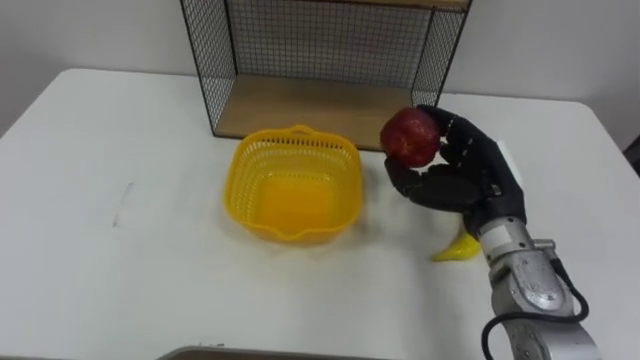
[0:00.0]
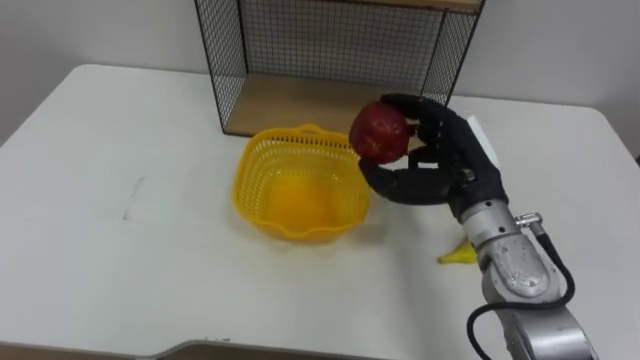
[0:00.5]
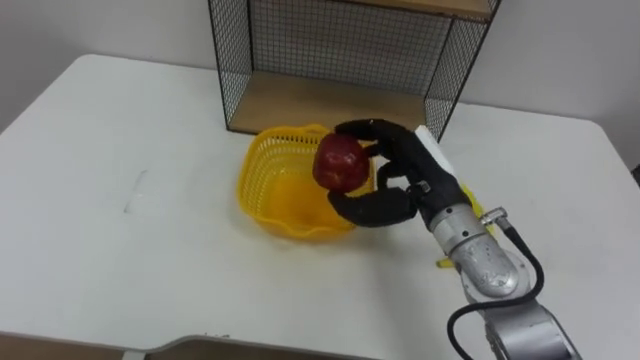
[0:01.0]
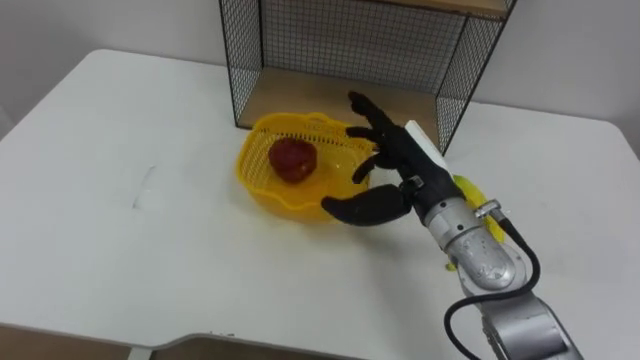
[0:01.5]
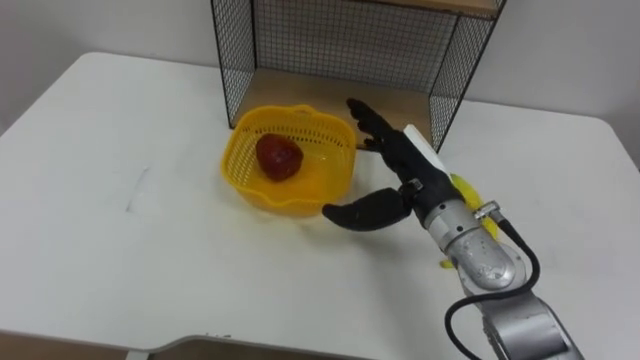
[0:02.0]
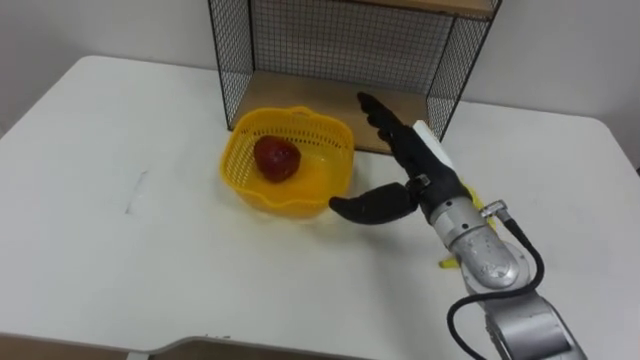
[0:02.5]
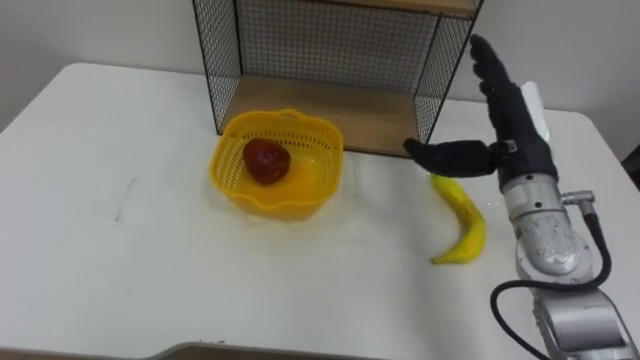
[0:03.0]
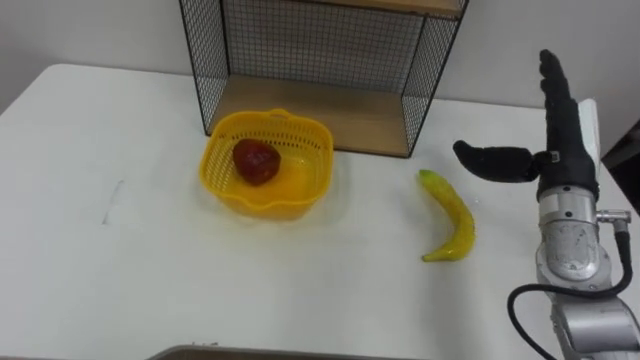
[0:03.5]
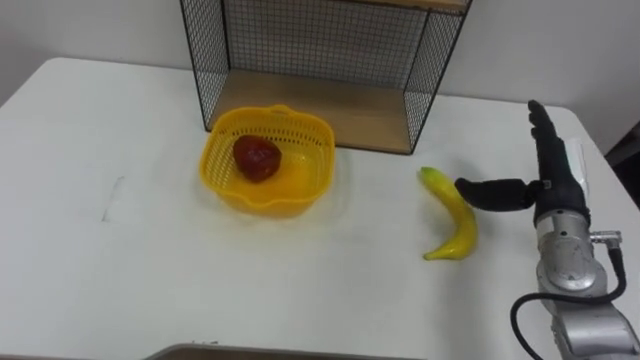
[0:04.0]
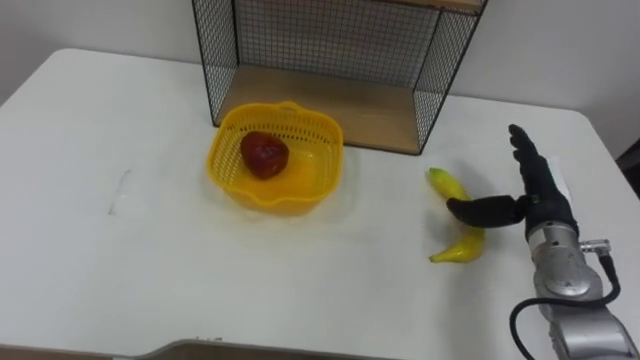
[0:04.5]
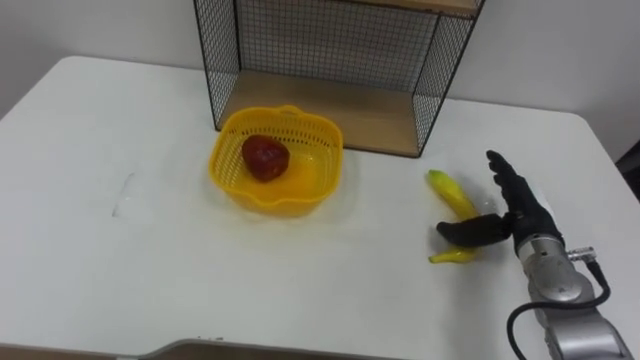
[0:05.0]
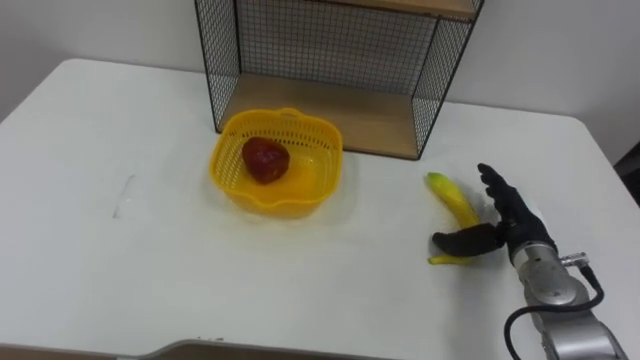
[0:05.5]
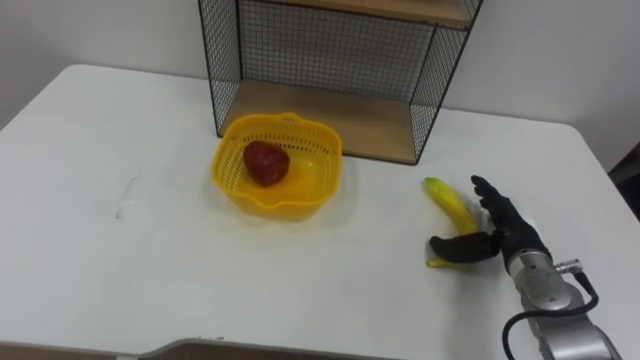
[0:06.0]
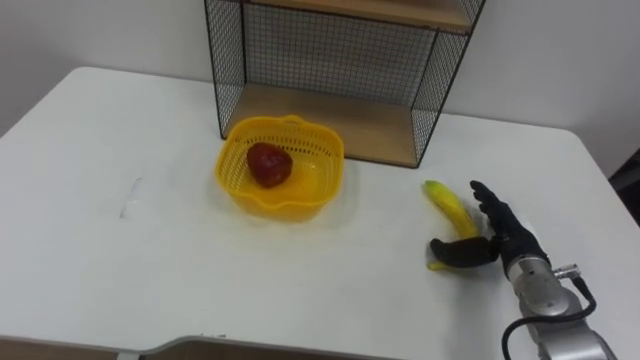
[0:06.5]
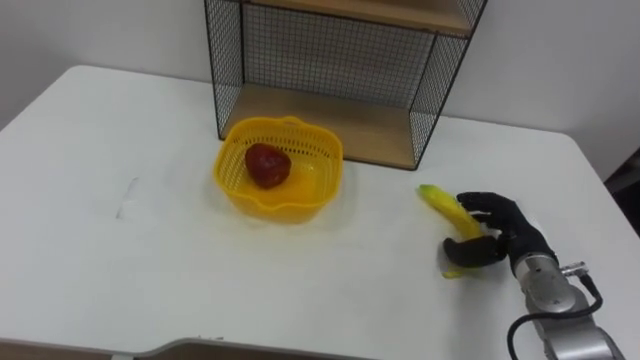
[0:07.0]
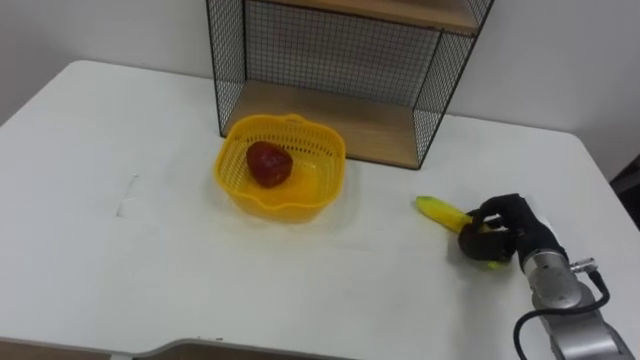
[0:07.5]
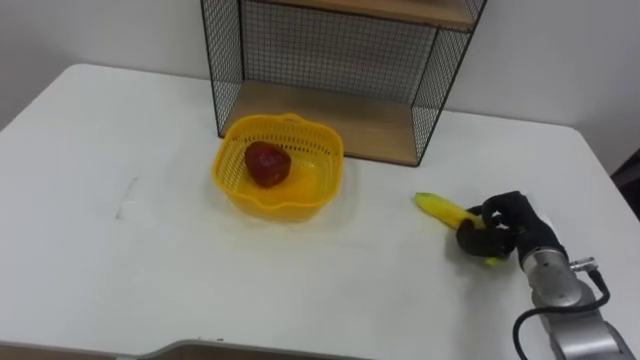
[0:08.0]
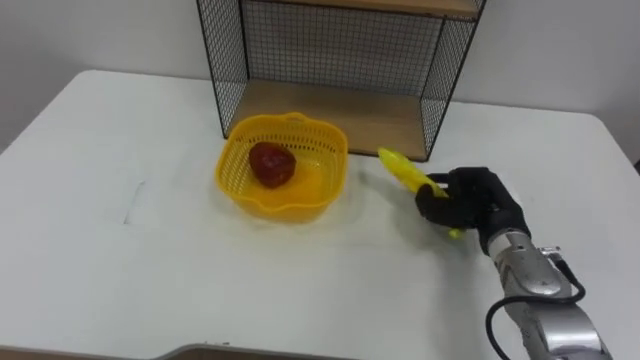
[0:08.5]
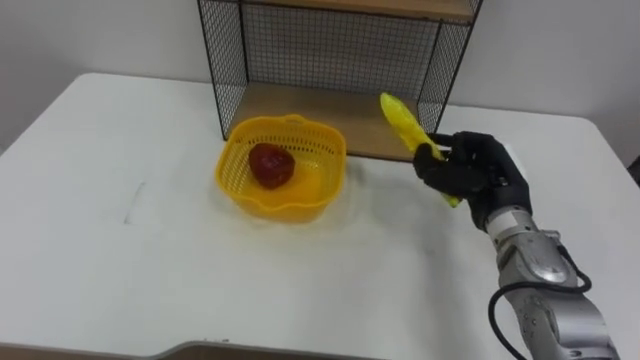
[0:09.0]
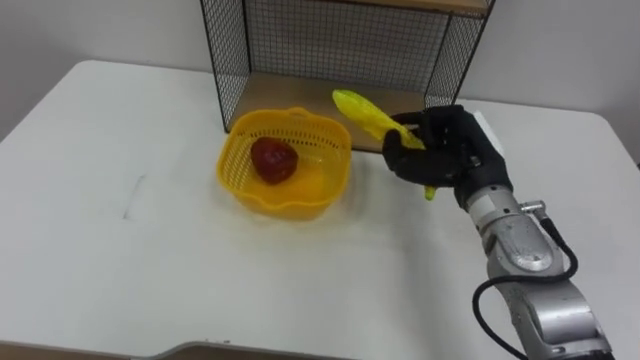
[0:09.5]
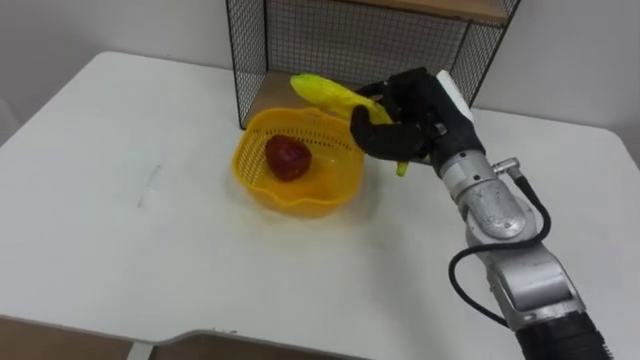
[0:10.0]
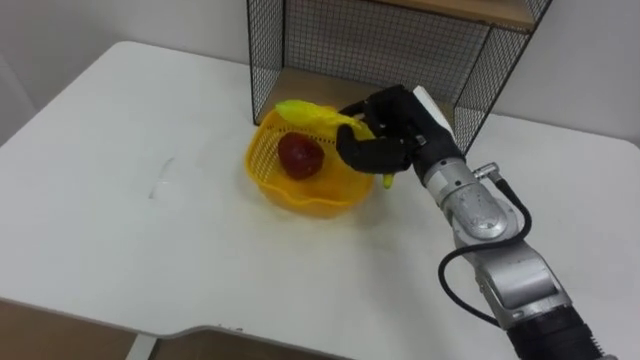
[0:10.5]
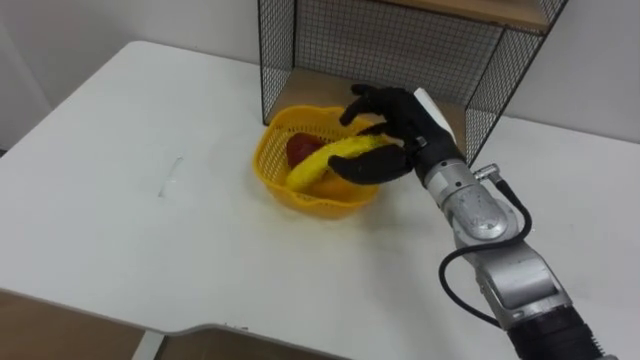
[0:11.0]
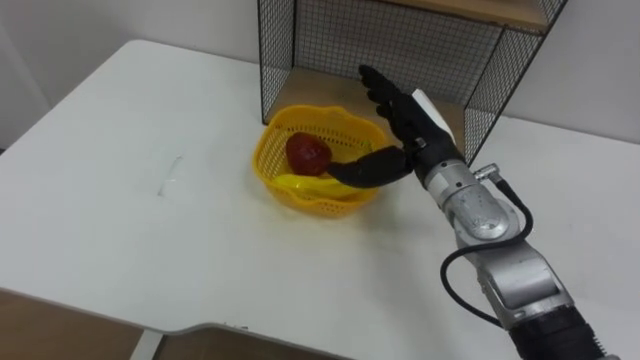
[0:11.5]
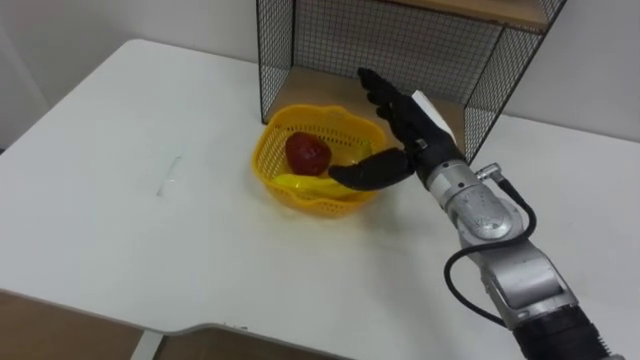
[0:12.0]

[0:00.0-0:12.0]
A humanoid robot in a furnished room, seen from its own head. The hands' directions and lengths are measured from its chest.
Task of the whole recording: Put the fruit on the table into the basket, then place the basket on the shelf.
0.0 to 2.0 s: The right hand shifts roughly 10 cm to the left, and opens.
2.0 to 4.0 s: The right hand goes roughly 15 cm to the right.
4.0 to 6.0 s: The right hand travels downward by approximately 10 cm.
6.0 to 8.0 s: The right hand closes.
8.0 to 10.0 s: The right hand goes some 20 cm upward and to the left.
10.0 to 12.0 s: The right hand opens its fingers.

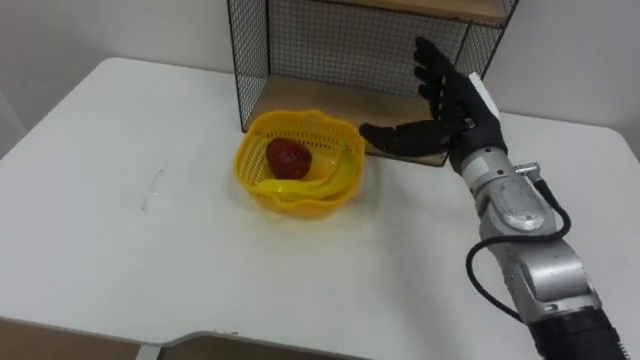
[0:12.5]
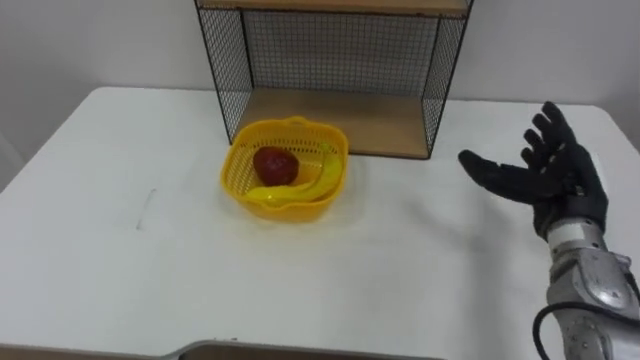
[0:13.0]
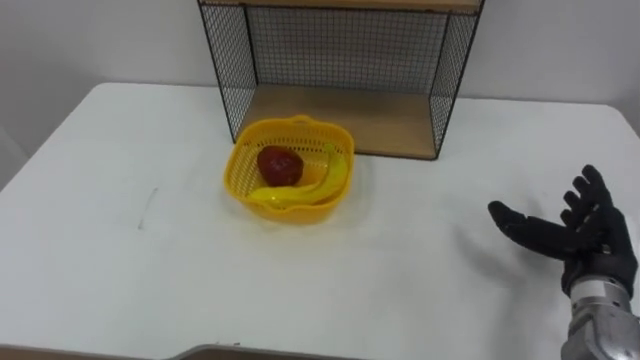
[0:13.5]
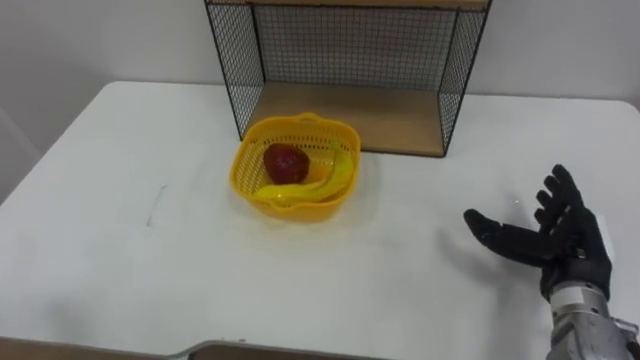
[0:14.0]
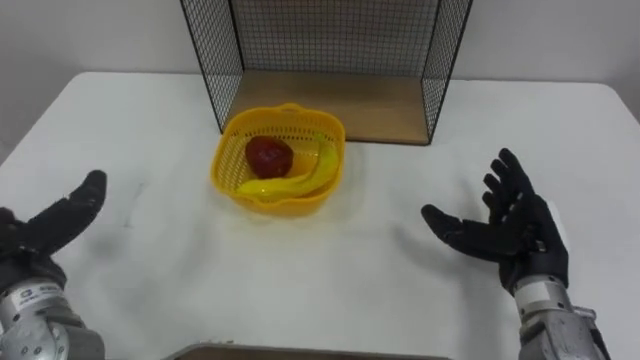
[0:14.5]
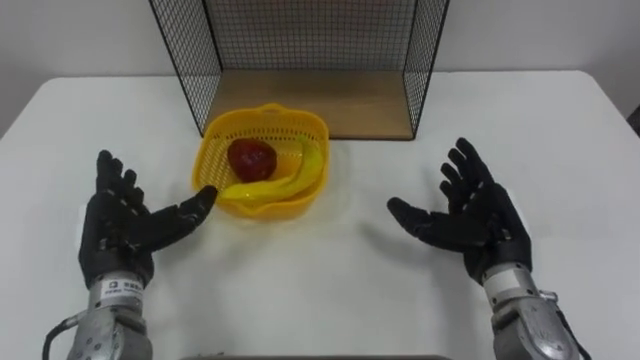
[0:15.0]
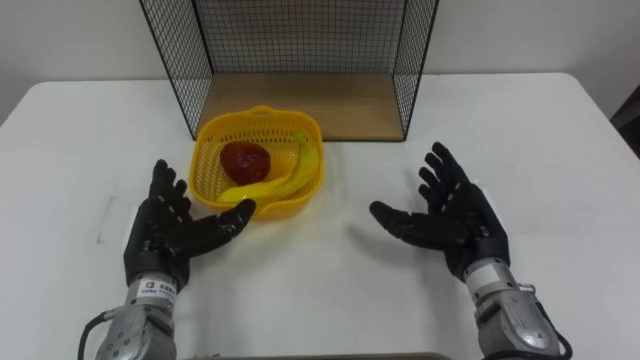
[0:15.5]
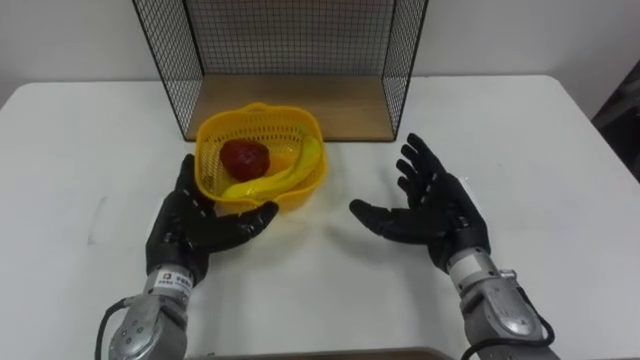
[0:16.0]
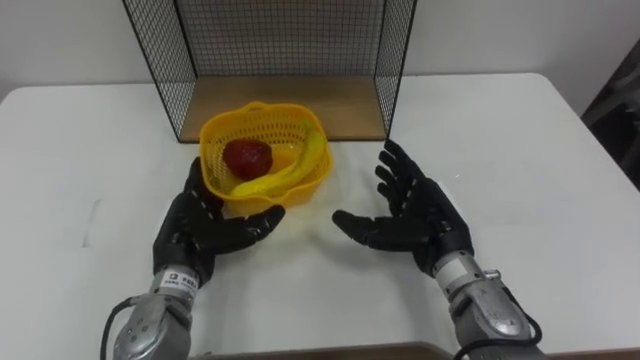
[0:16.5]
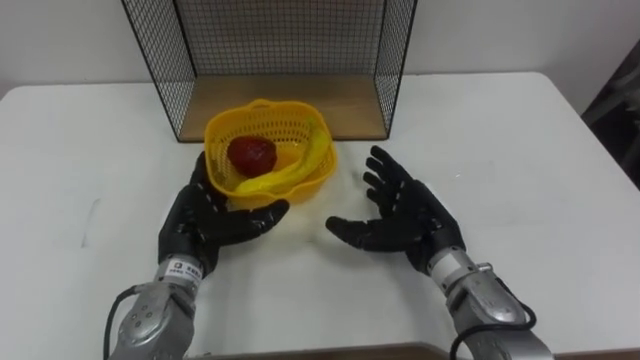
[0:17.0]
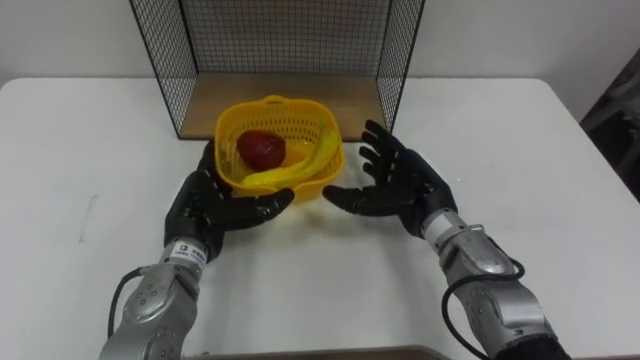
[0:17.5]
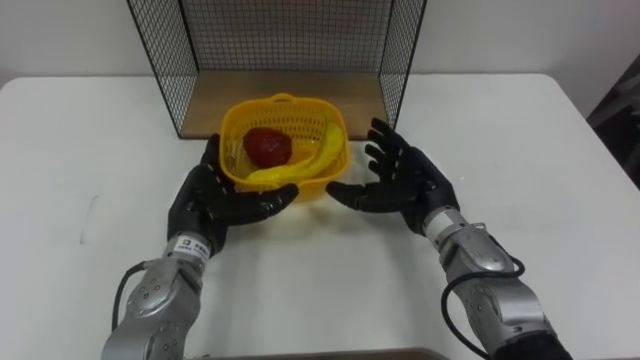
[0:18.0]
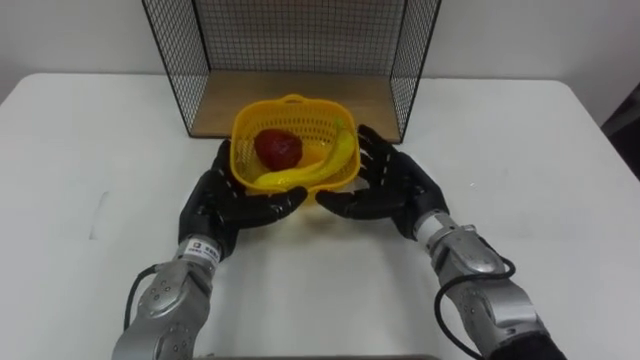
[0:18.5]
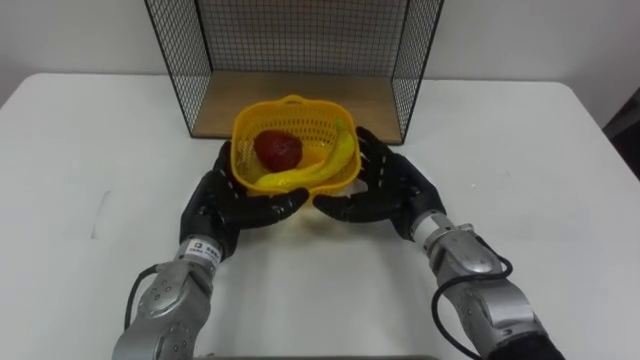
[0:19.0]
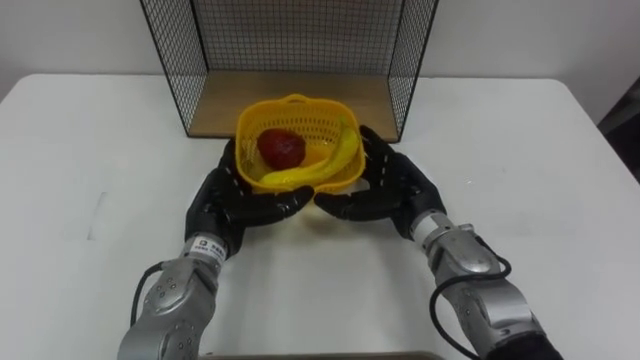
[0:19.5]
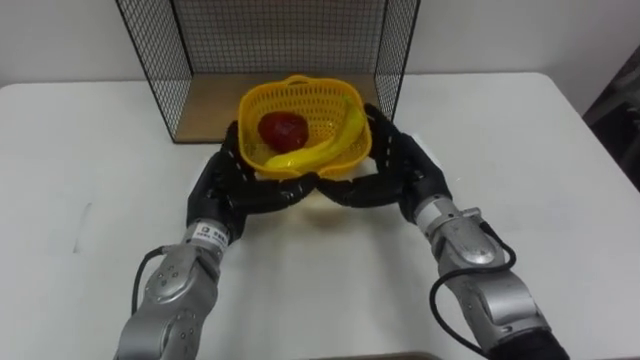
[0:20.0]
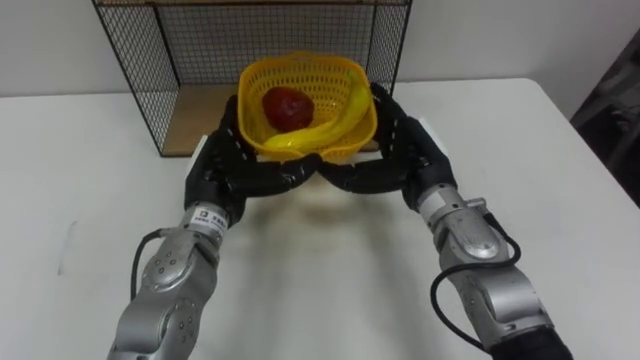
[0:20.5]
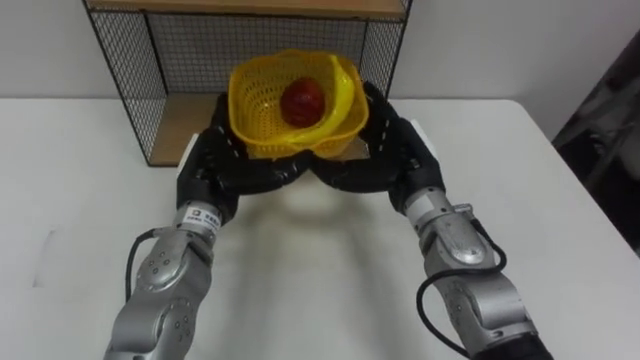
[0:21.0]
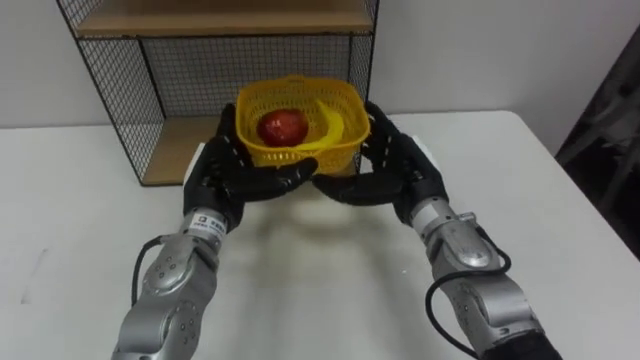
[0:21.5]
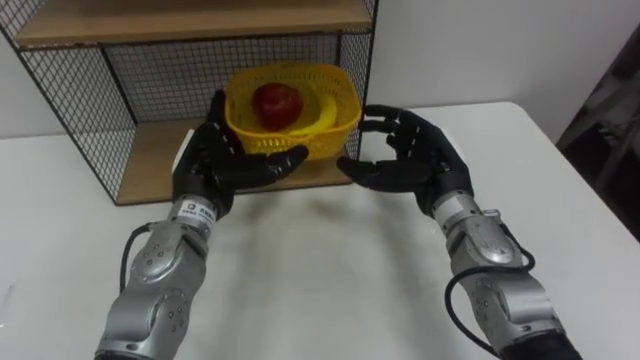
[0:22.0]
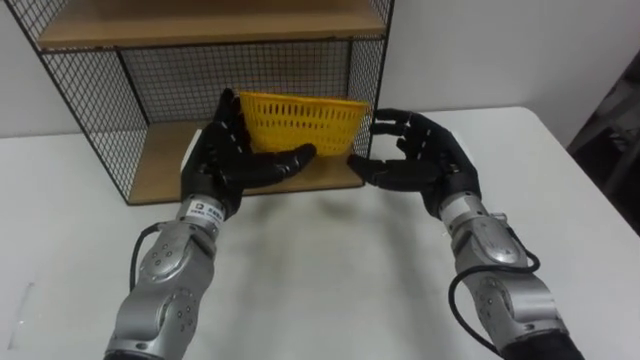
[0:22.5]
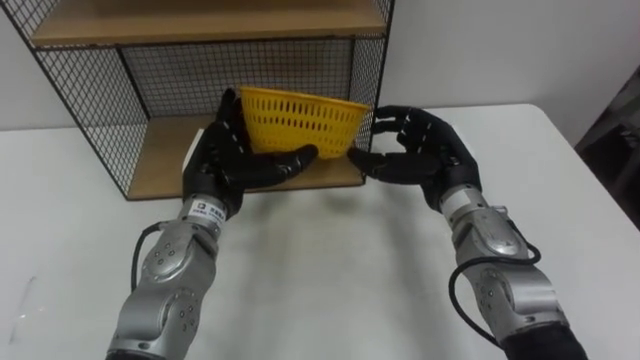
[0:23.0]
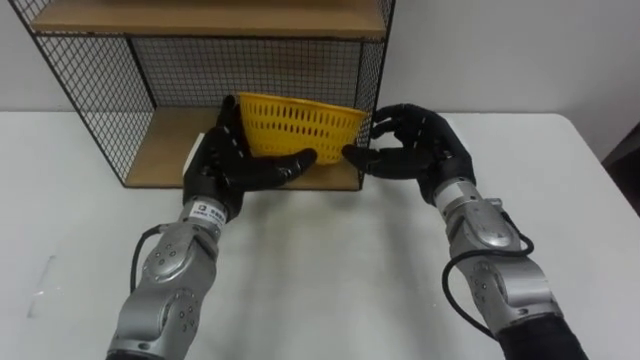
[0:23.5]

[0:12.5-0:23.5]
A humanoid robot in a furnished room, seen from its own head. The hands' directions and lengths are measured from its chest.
Task of the whole recording: Put the fruit on the table into the basket, then place the basket on the shelf.
12.5 to 14.5 s: The right hand travels backward, downward and to the right by some 15 cm.
14.5 to 16.0 s: The left hand travels to the right by approximately 15 cm. Meanwhile the right hand heads to the left, covering some 10 cm.
16.0 to 18.0 s: The right hand shifts about 5 cm forward.
